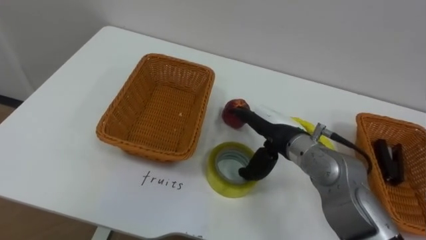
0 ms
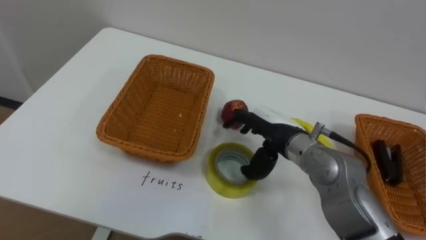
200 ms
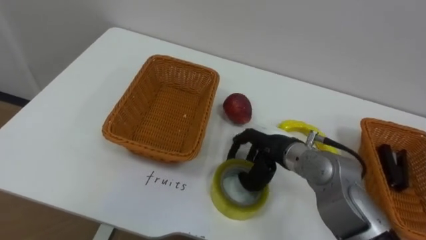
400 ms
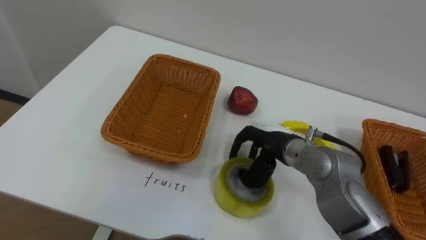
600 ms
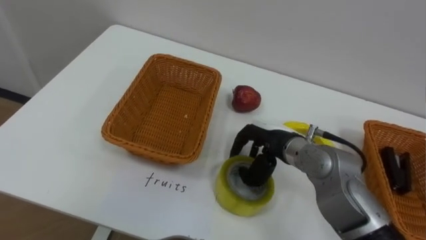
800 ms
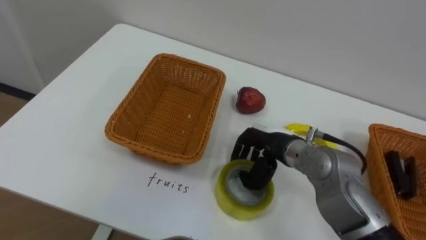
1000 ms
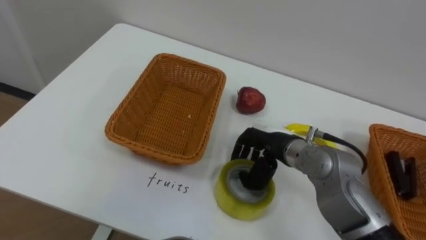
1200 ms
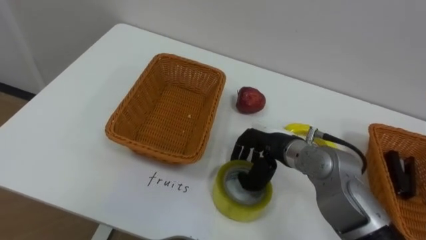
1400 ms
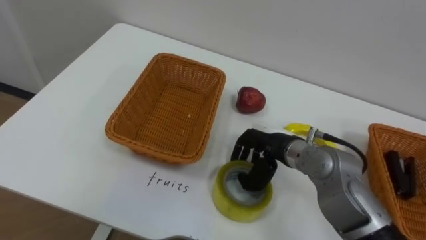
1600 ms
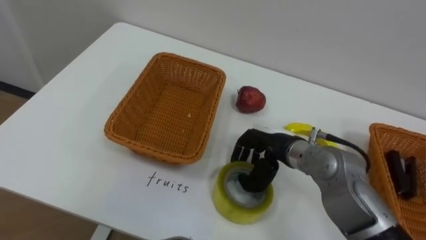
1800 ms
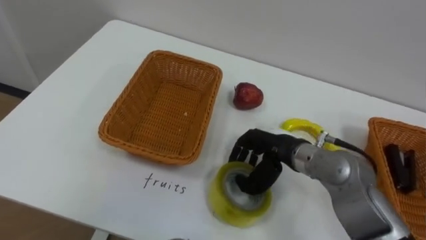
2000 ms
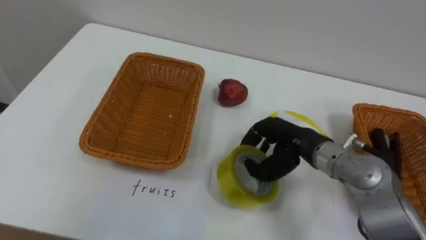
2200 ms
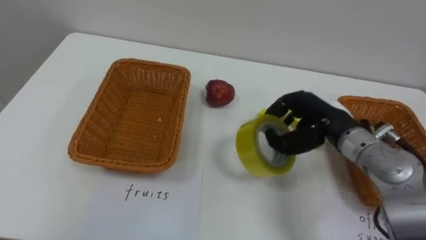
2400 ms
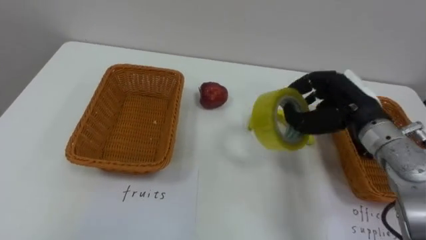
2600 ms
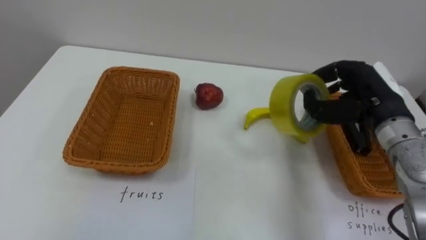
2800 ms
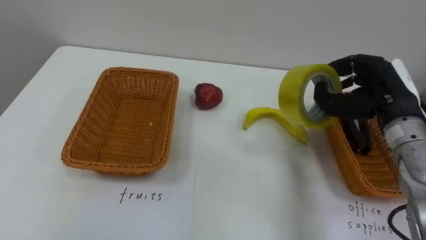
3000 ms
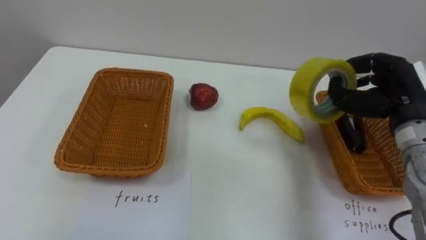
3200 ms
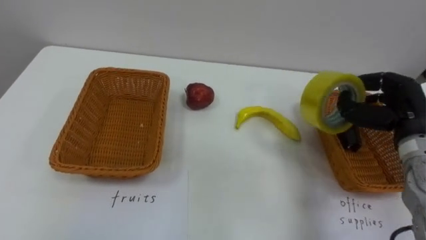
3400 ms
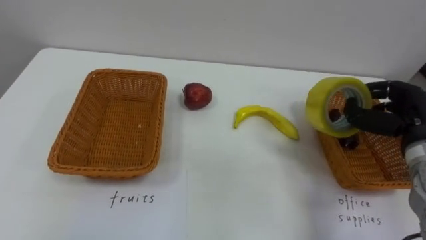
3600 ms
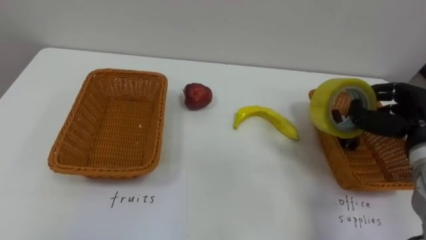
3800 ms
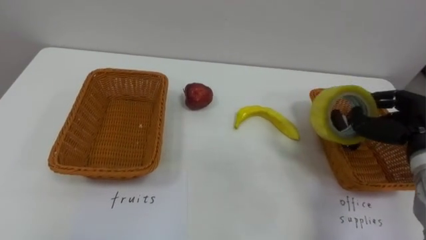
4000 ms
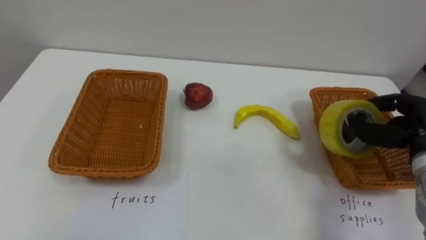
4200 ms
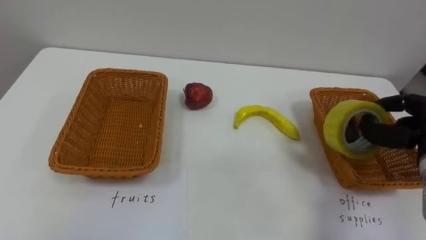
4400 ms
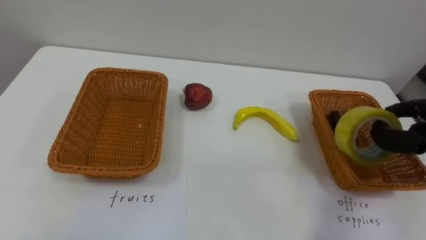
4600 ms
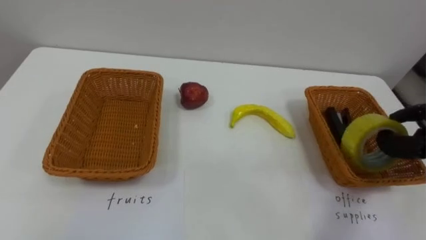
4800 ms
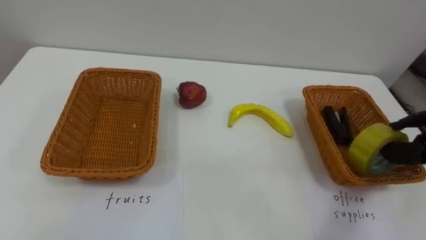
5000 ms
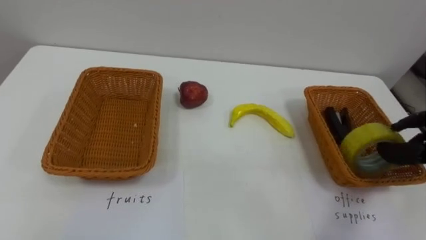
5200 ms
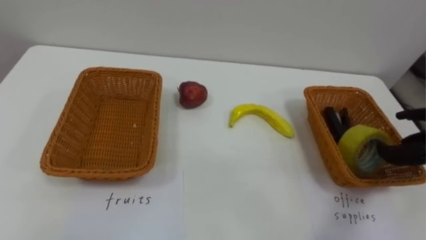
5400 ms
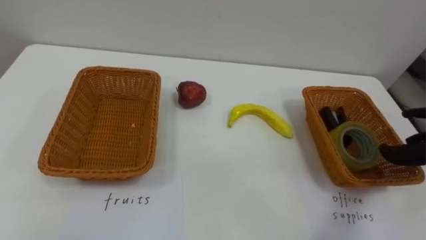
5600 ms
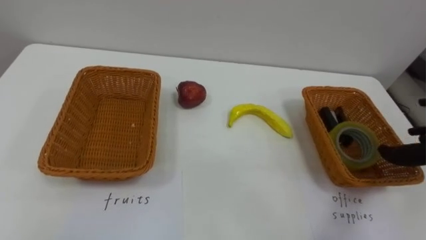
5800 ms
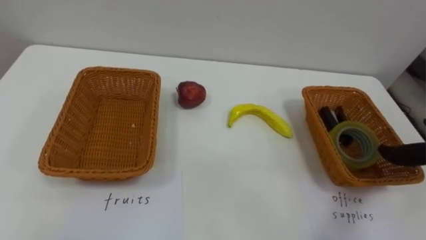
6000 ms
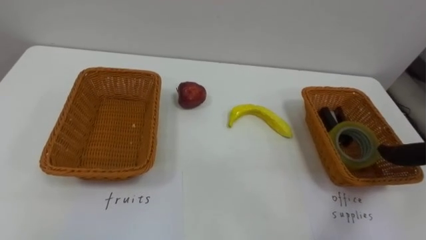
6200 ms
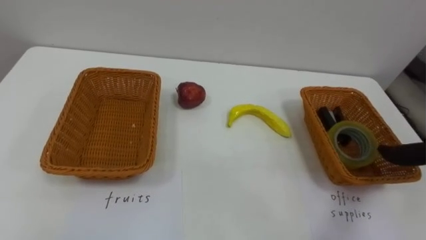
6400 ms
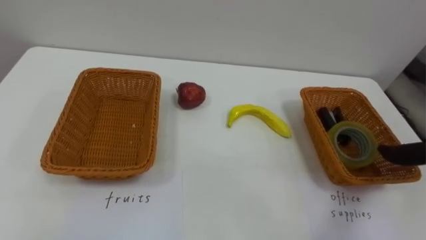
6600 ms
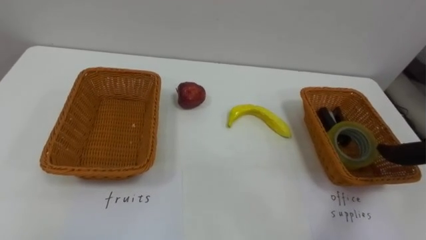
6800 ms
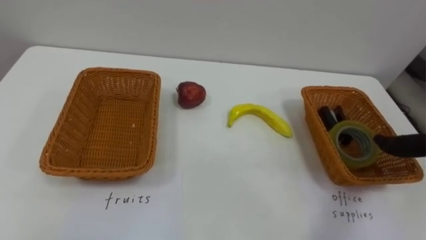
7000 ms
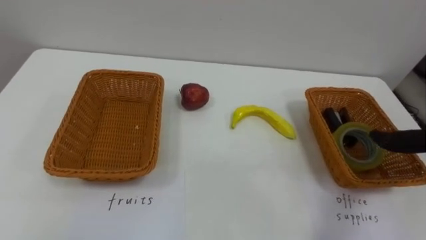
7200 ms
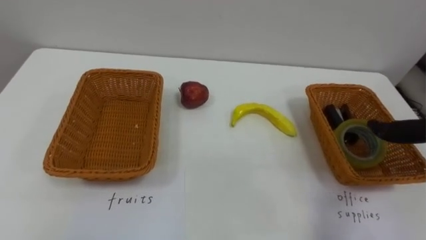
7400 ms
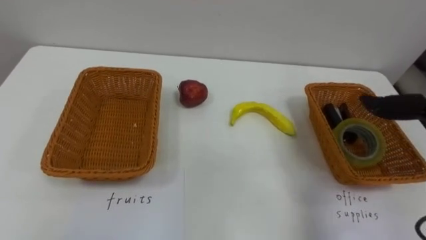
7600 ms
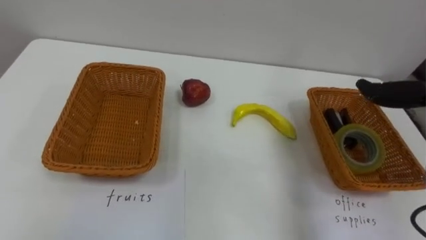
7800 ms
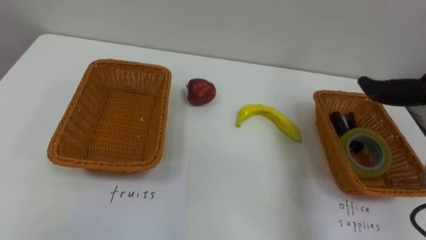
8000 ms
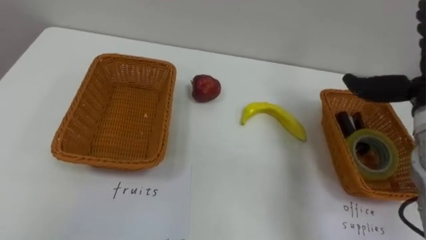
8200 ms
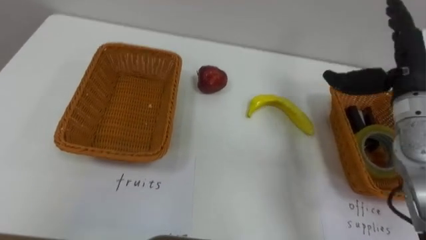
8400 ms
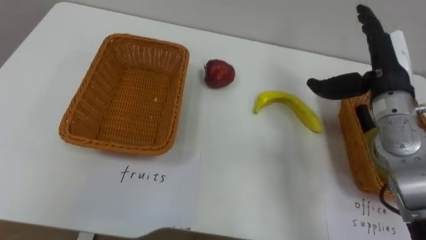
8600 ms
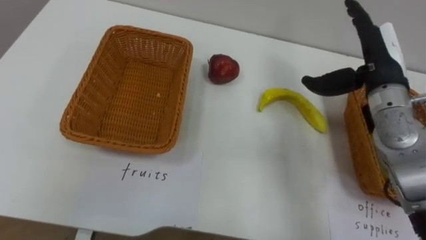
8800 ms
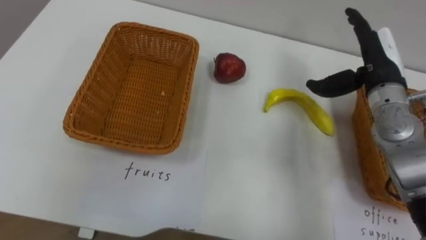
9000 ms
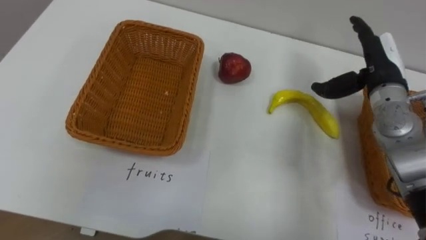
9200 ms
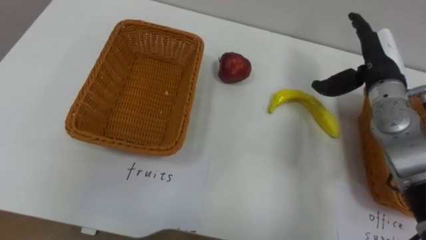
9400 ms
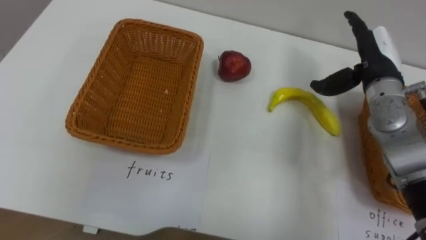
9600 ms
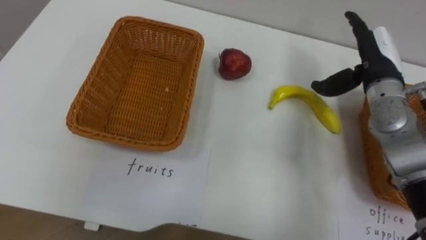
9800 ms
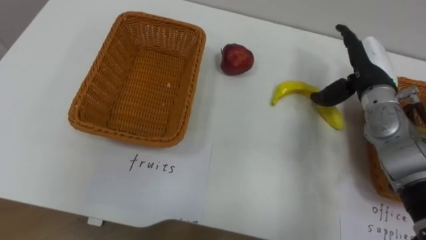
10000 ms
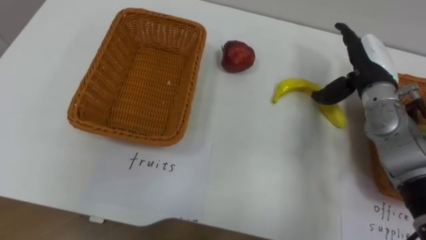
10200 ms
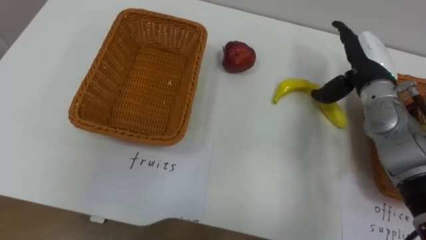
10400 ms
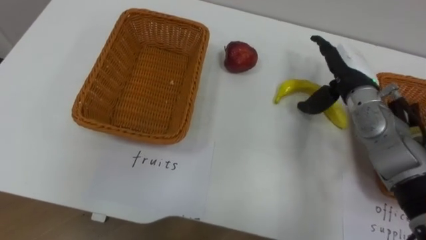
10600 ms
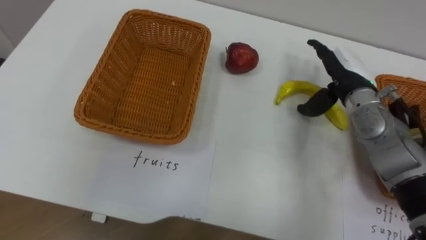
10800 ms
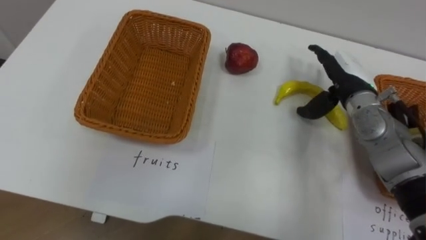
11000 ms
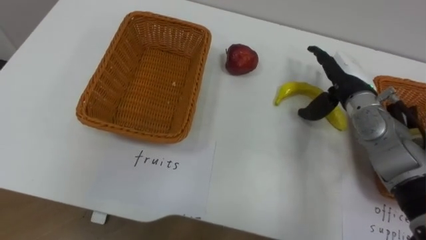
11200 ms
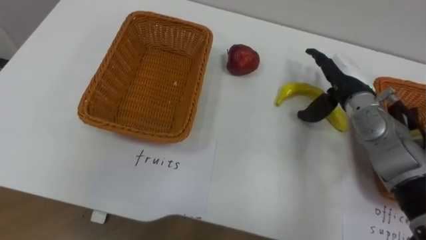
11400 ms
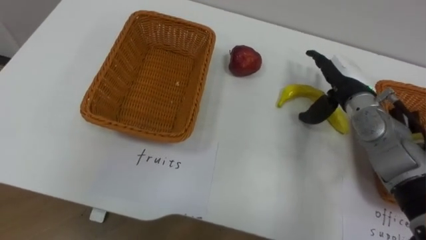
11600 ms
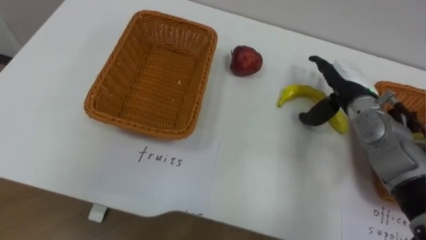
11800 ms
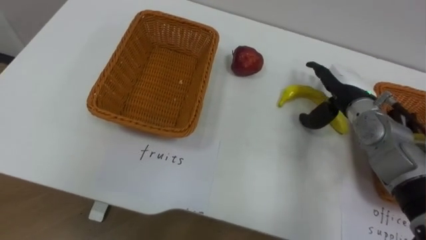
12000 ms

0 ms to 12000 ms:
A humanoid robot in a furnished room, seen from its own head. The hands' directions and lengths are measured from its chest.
Task of the whole recording: Separate the items on the table and place them into the two baskets.
0 ms to 1600 ms: The right hand closes up.
1600 ms to 3000 ms: The right hand moves to the right and upward, about 20 cm.
10400 ms to 12000 ms: The right hand goes some 5 cm downward.

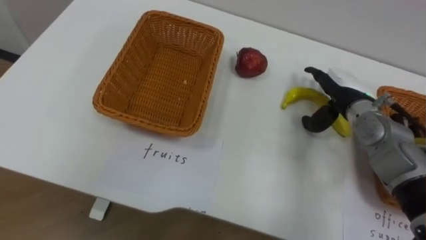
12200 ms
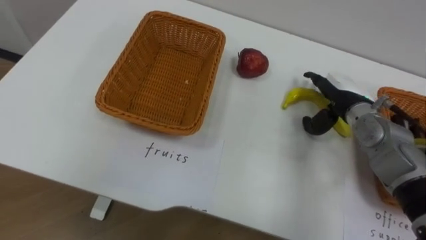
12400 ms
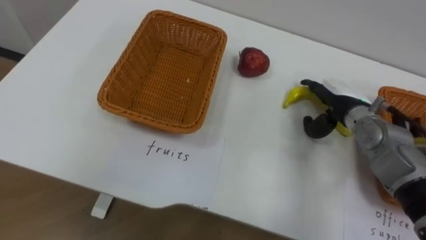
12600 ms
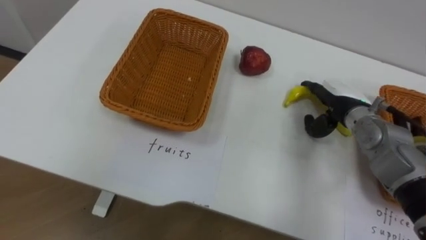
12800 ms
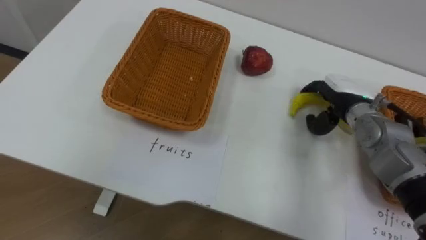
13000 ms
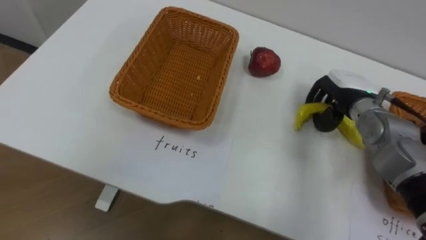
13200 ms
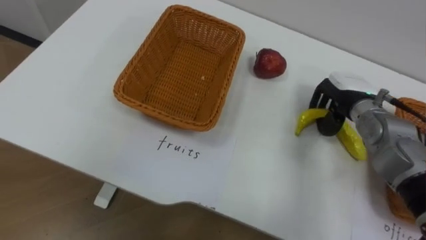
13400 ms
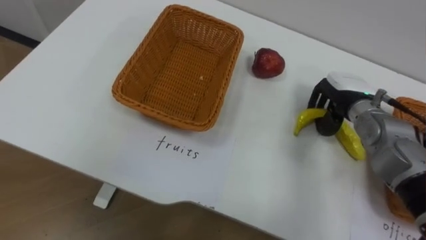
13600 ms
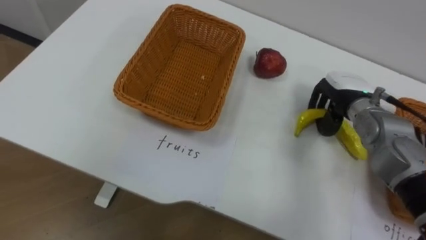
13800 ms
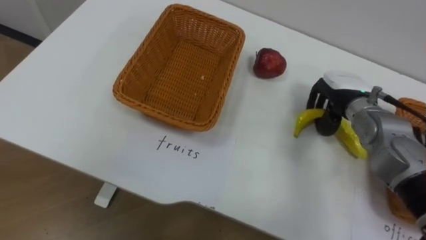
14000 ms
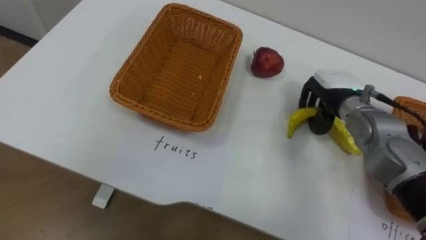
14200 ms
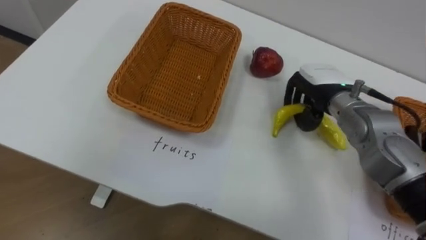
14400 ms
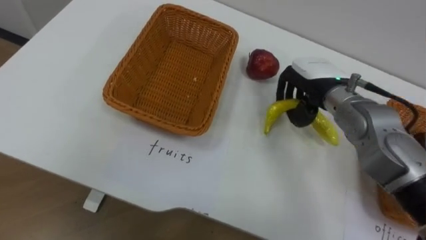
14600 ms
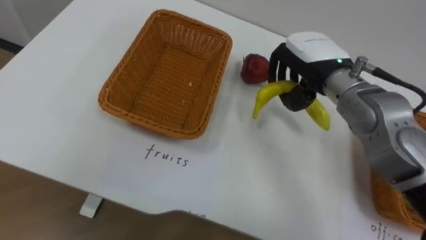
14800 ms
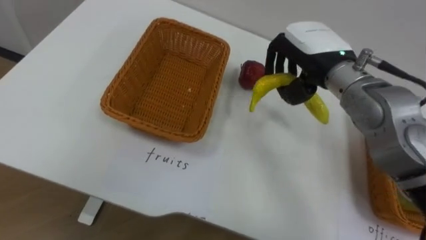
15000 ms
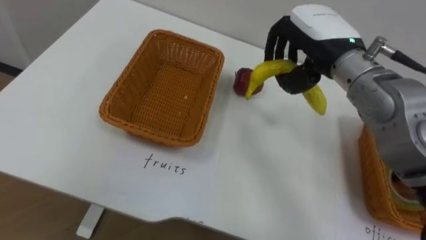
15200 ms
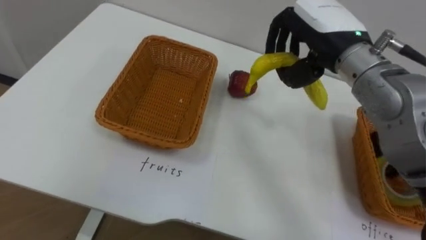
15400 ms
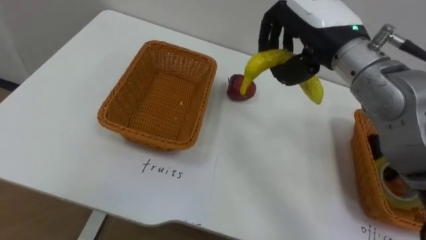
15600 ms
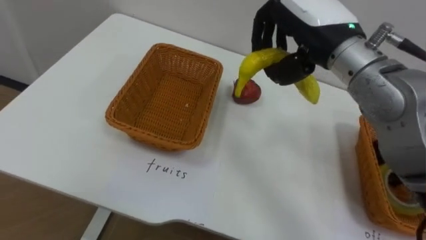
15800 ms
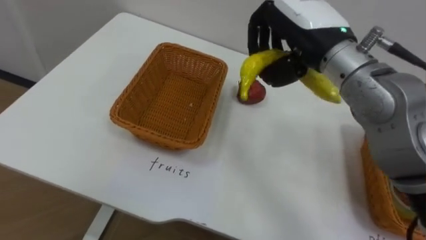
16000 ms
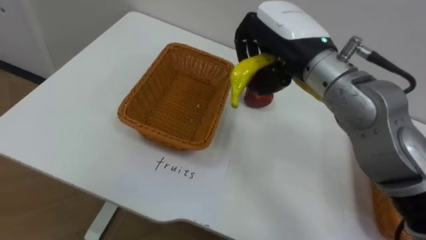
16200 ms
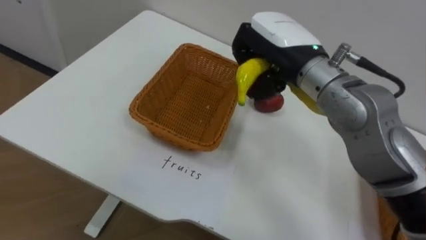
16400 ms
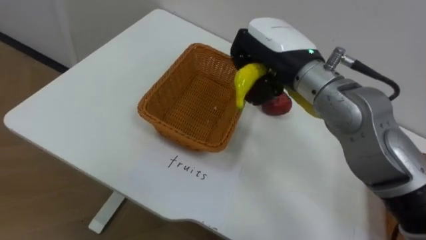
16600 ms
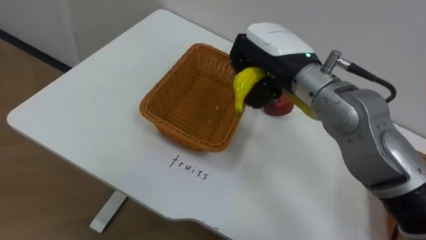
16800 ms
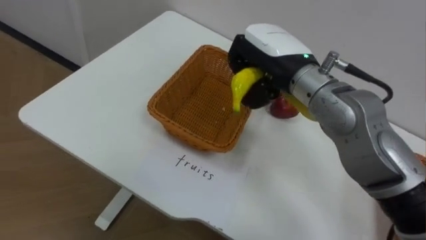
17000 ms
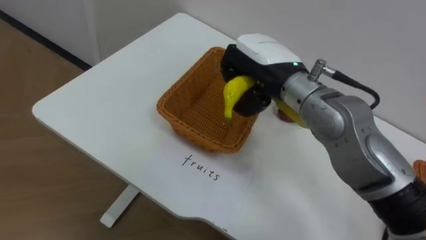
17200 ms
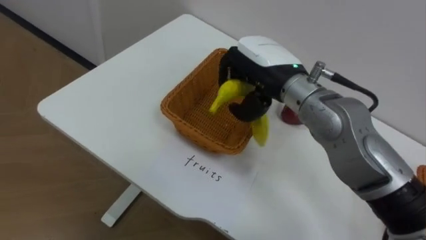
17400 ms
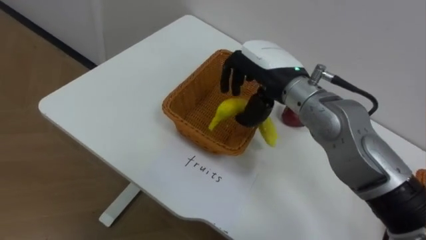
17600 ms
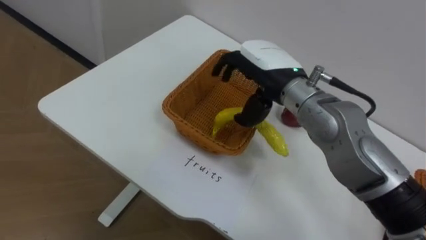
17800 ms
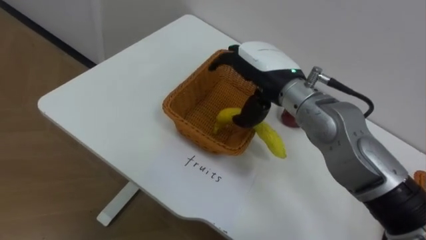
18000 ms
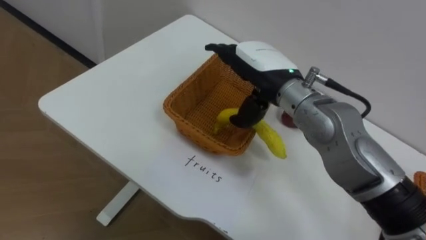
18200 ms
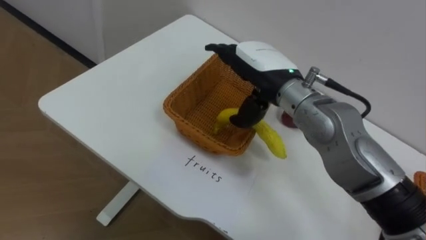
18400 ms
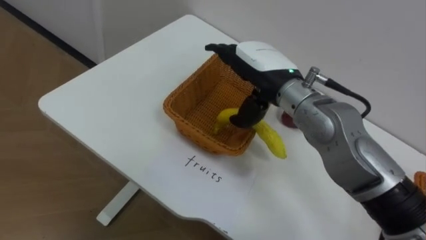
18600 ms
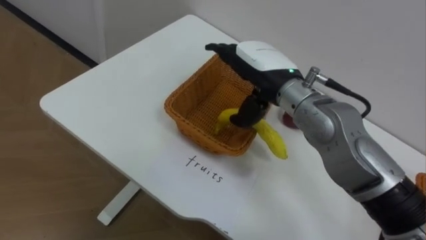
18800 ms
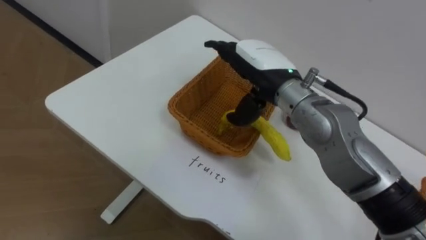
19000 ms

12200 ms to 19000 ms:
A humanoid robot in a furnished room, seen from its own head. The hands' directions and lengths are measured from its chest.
Task of the whole recording: Separate the items on the table and place them into the two baskets.
12200 ms to 13600 ms: The right hand closes up.
13600 ms to 15000 ms: The right hand travels upward and to the left by roughly 15 cm.
15000 ms to 16200 ms: The right hand travels to the left by some 5 cm.
16200 ms to 17600 ms: The right hand shifts some 5 cm downward, and opens its fingers.
17600 ms to 19000 ms: The right hand opens up.
